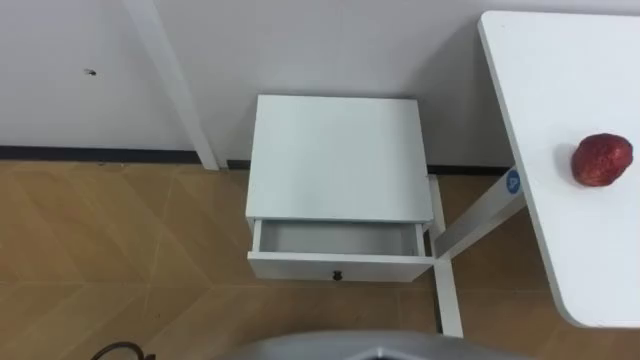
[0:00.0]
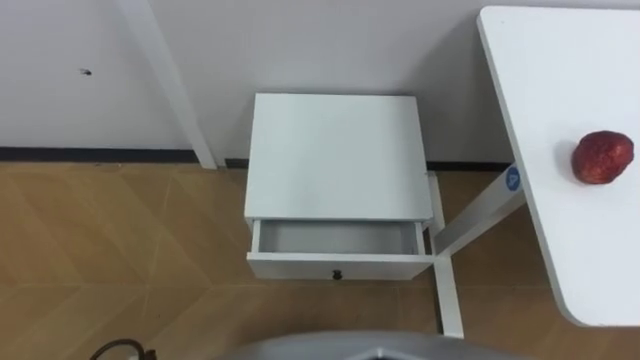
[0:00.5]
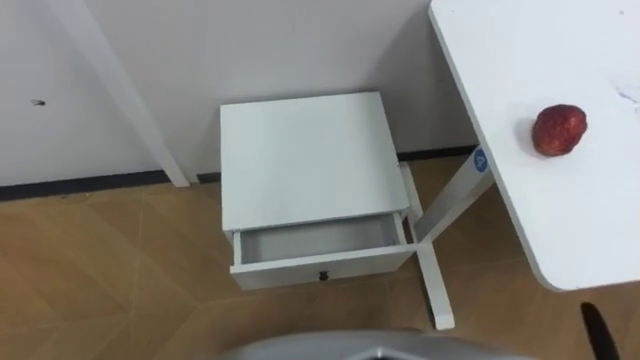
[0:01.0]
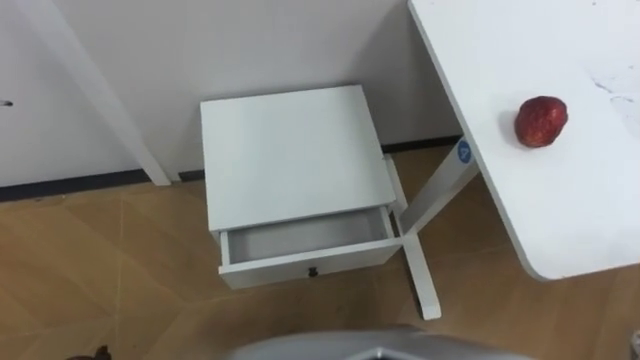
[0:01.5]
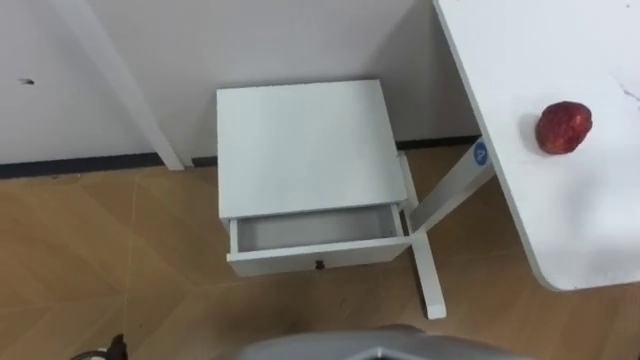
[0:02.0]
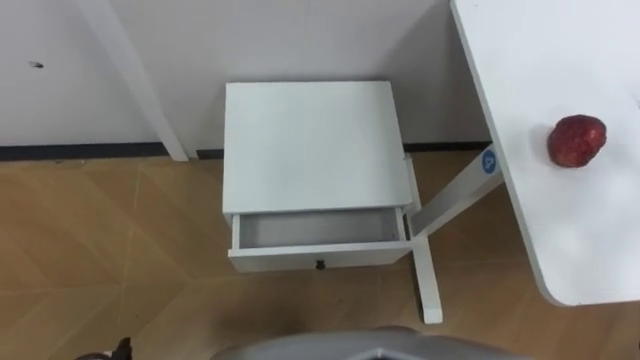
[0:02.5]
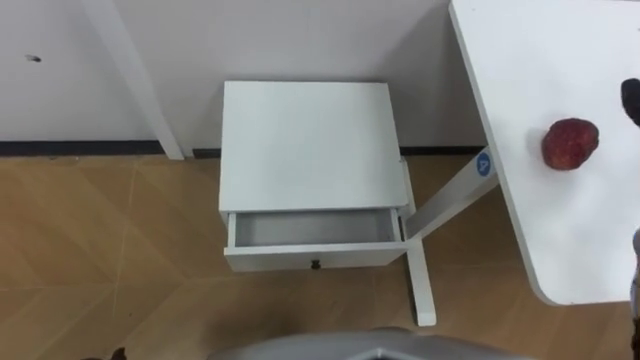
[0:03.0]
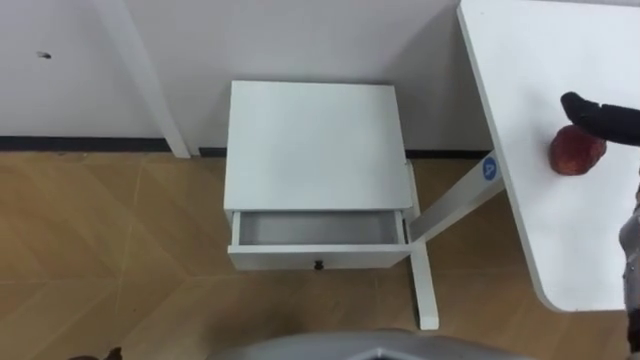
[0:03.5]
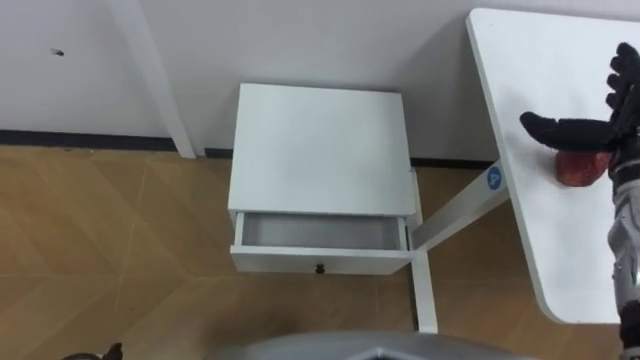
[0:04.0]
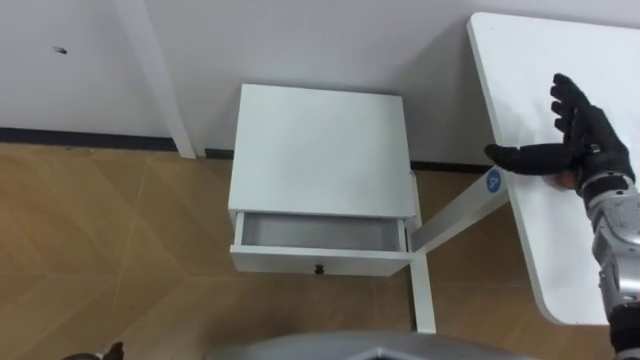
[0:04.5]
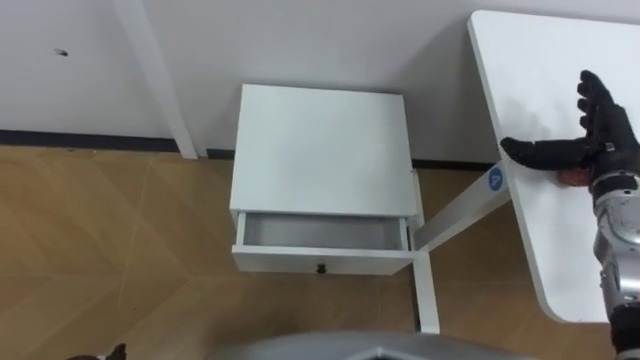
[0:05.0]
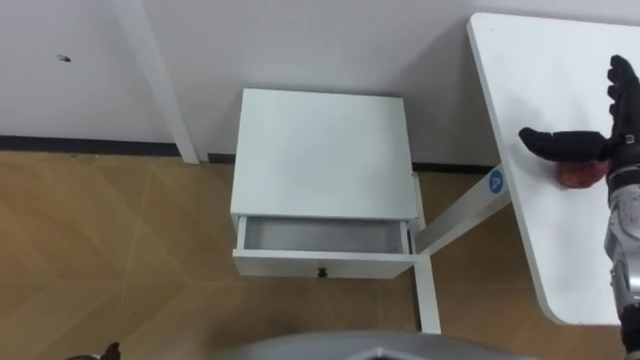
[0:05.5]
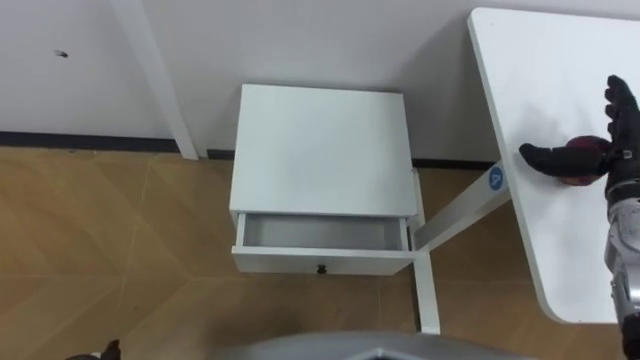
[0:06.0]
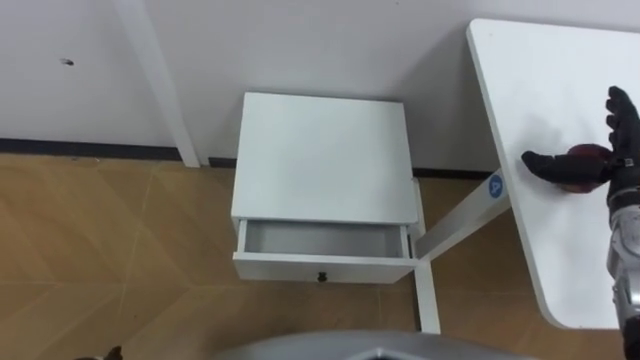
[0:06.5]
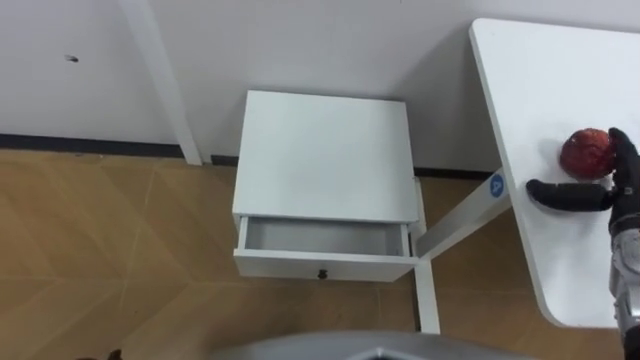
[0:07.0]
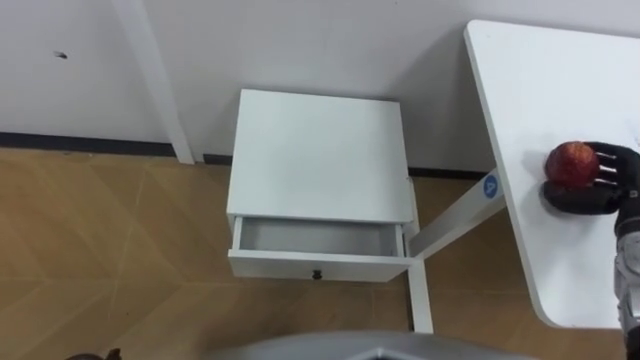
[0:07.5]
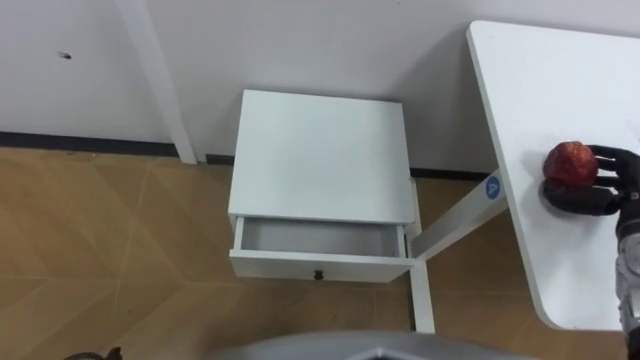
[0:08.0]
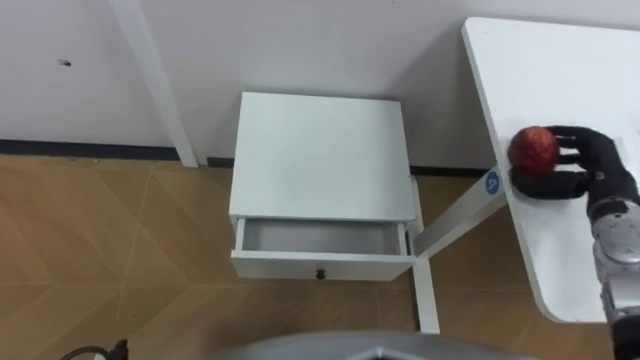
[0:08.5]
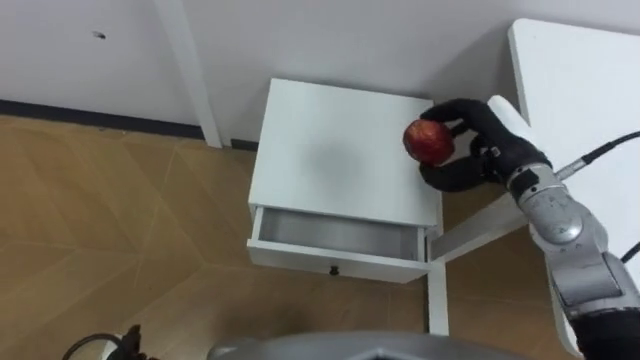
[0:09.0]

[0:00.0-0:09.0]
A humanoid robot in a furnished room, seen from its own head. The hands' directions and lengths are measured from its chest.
Task of the whole recording: Pick up the apple from the table, put it in the drawer, and close the drawer with leg.
0:04.5 to 0:07.0: The right hand heads to the right, covering some 5 cm.
0:07.0 to 0:09.0: The right hand goes roughly 15 cm to the left, and closes its fingers.

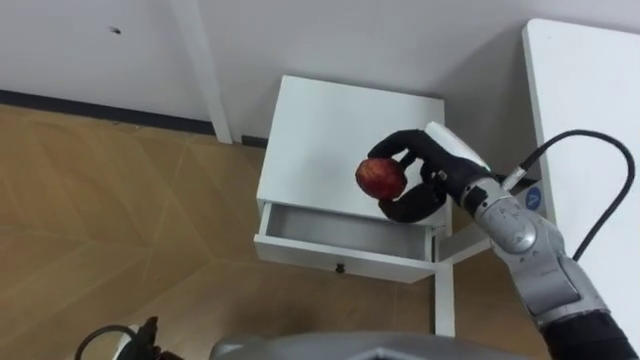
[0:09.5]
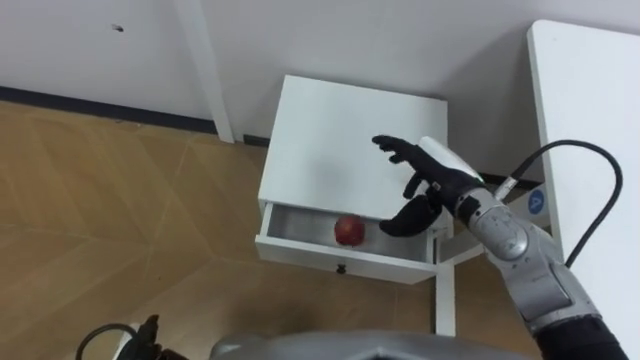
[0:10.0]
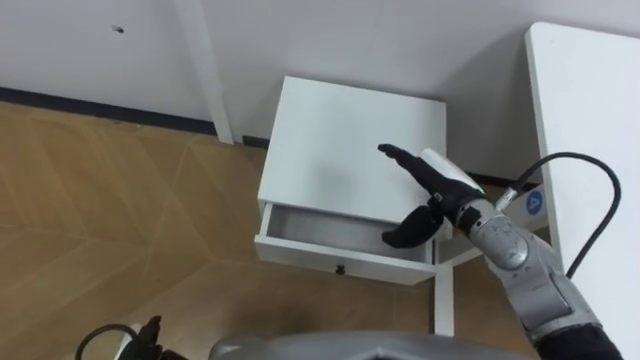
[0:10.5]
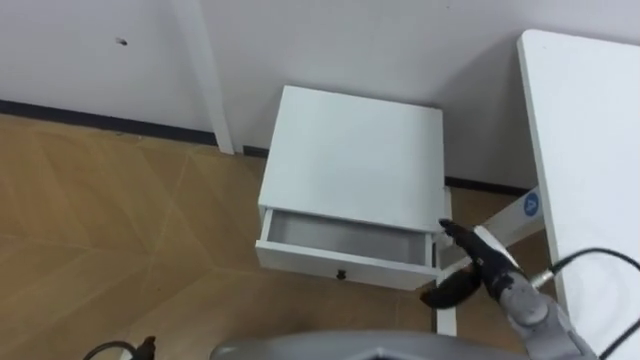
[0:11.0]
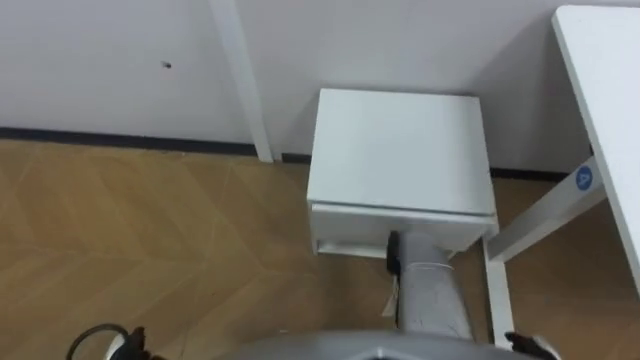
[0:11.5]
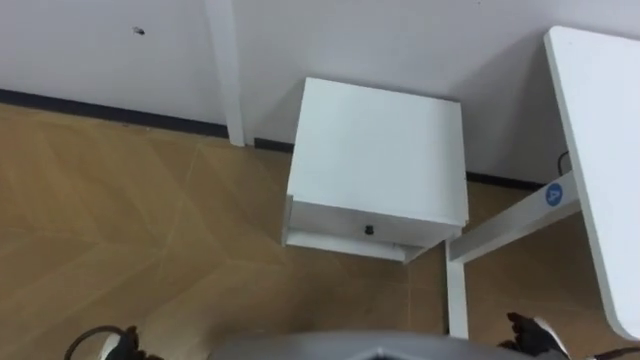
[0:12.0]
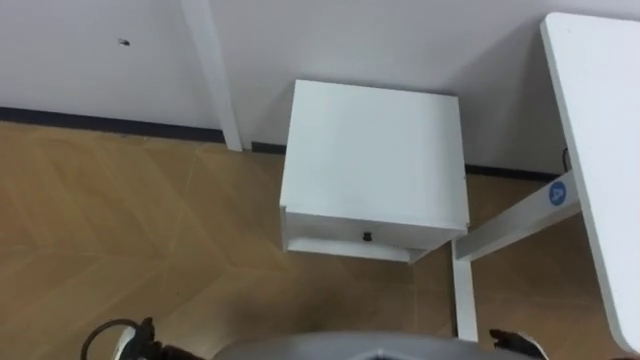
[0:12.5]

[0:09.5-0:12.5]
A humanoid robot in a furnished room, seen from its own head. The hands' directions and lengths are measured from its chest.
Task of the whole recording: Pick up the apple from the table, put it in the drawer, and close the drawer with leg.
0:09.5 to 0:11.0: The right hand shifts roughly 15 cm downward, backward and to the right, and opens.

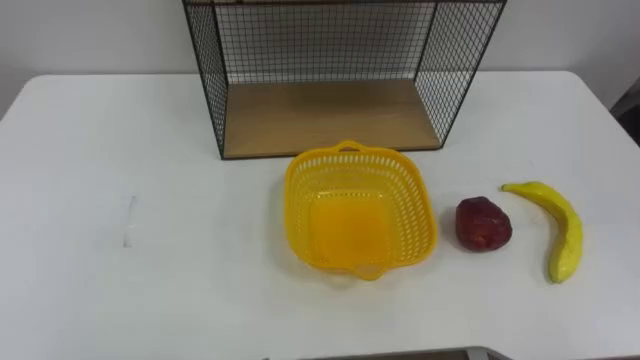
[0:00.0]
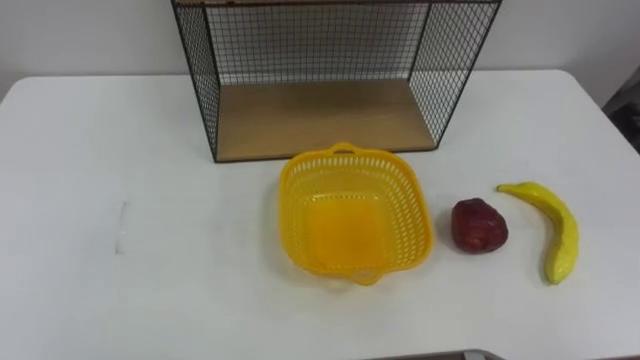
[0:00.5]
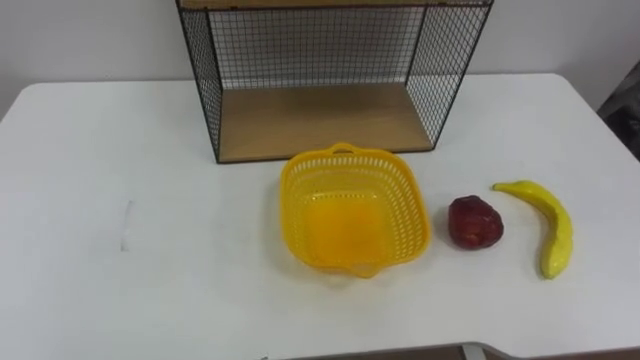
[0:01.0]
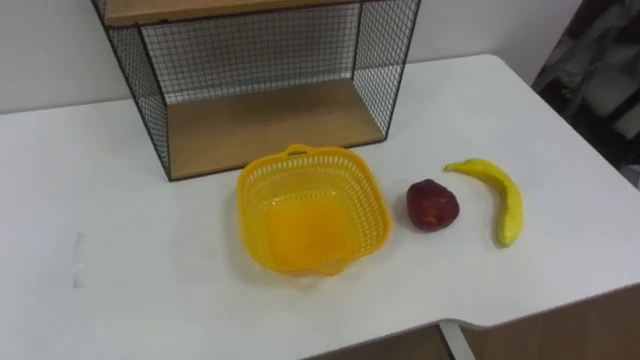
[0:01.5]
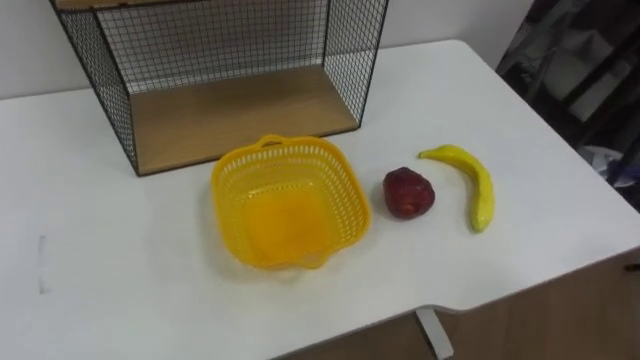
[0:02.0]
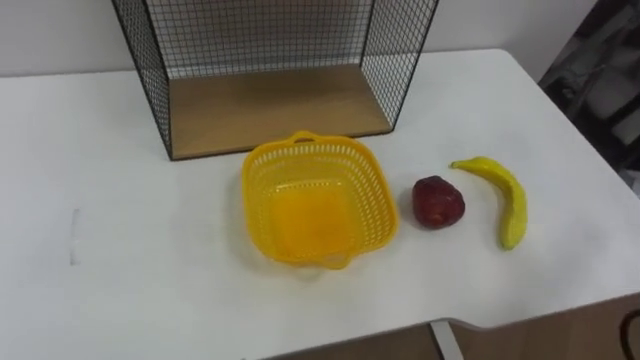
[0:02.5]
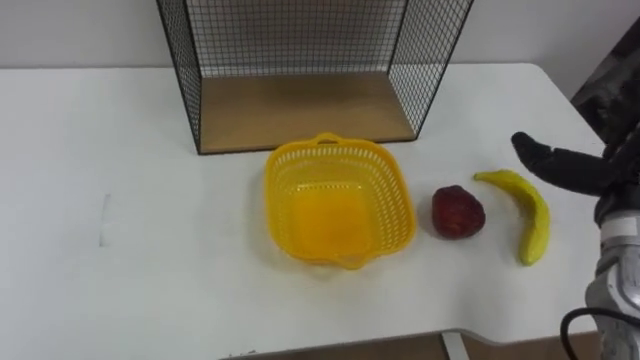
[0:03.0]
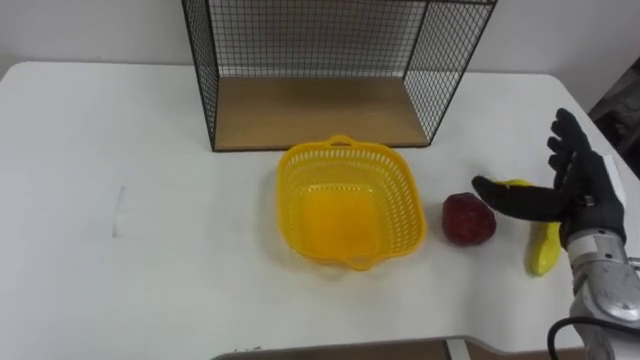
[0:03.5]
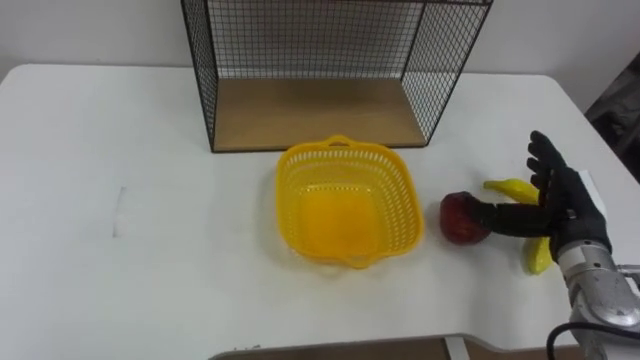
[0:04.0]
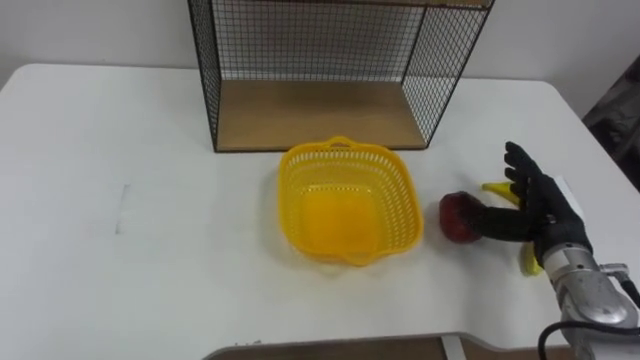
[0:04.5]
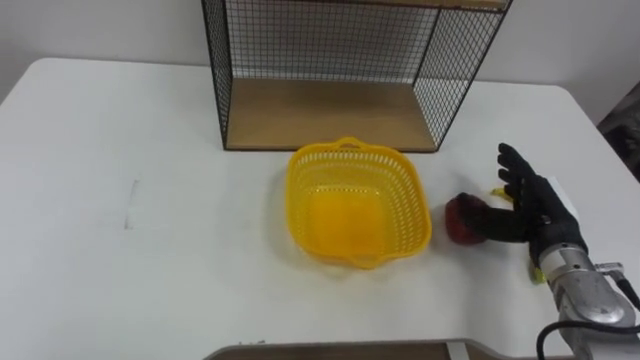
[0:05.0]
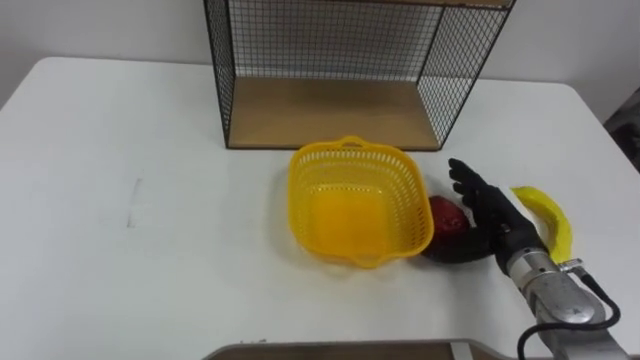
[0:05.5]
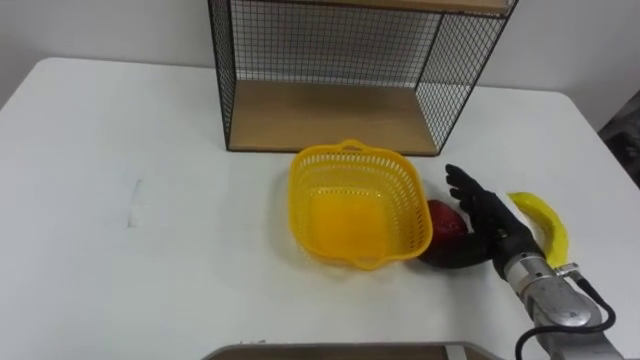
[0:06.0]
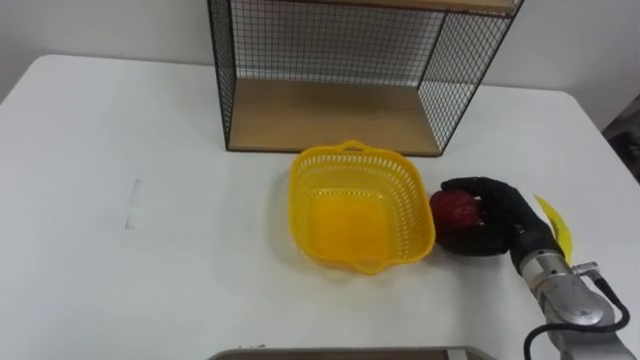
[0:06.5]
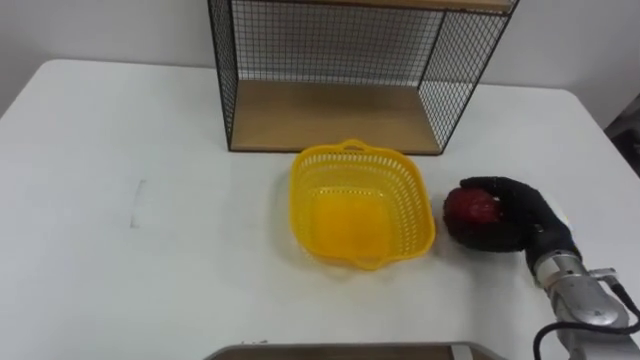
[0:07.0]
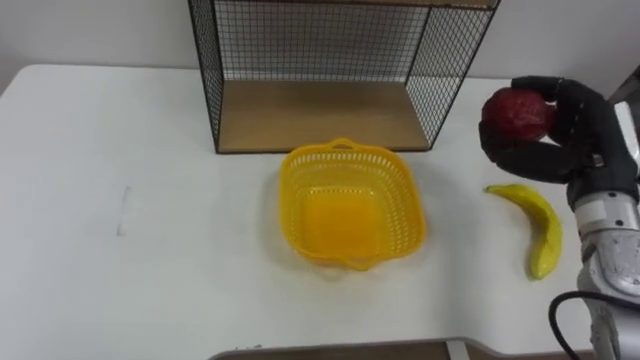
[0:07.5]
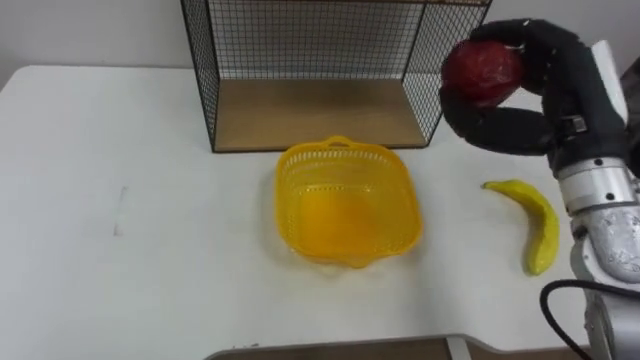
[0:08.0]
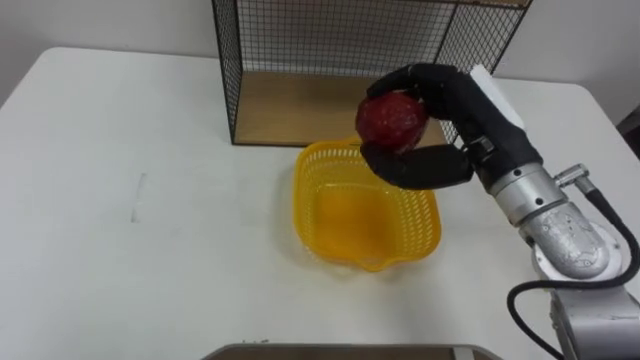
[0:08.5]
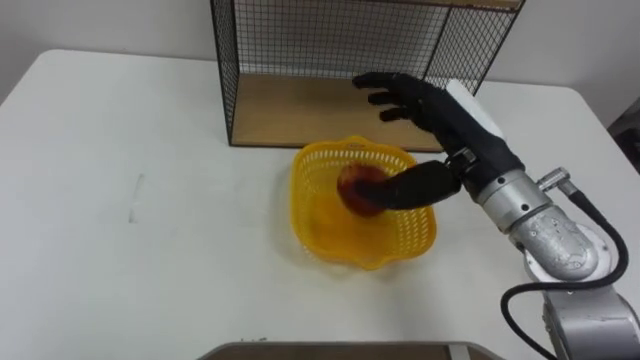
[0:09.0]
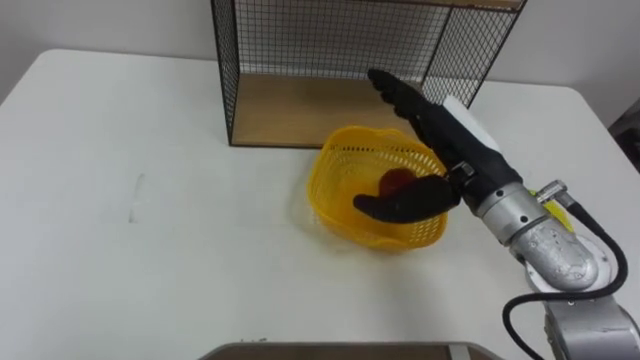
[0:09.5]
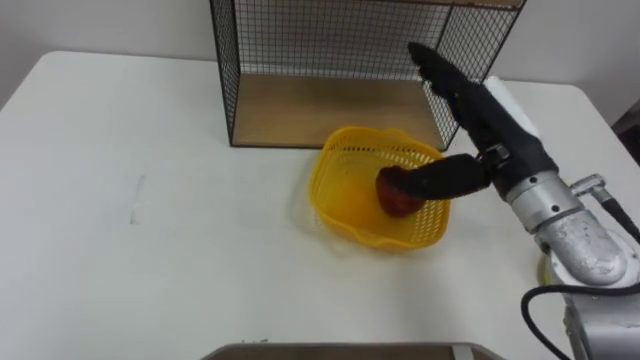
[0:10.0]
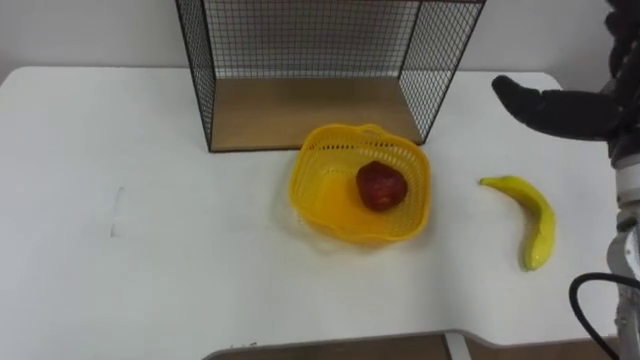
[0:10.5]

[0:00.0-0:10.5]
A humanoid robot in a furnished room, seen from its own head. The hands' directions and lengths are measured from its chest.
Task of the whole recording: Put the fruit on the table into the basket, then place the basket on the shelf.
0:04.0 to 0:06.5: The right hand moves approximately 5 cm, and closes up.
0:06.5 to 0:08.5: The right hand is displaced upward and to the left by approximately 20 cm.
